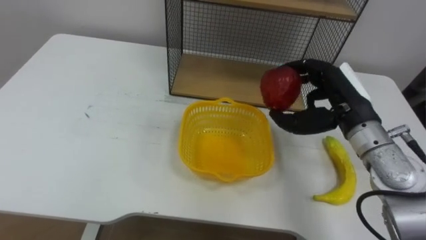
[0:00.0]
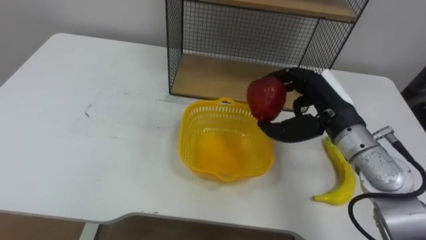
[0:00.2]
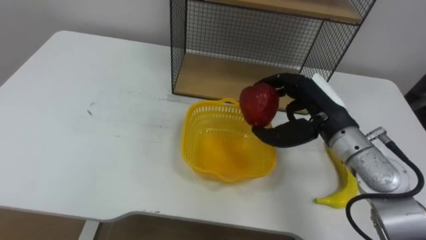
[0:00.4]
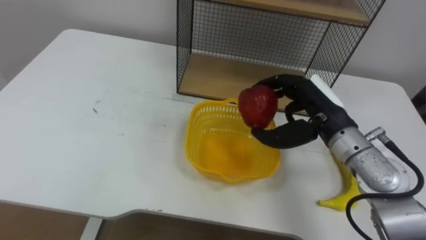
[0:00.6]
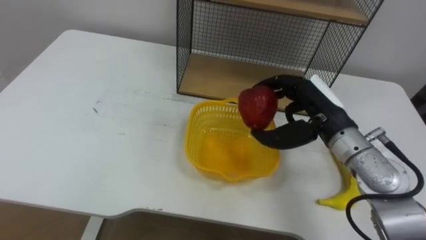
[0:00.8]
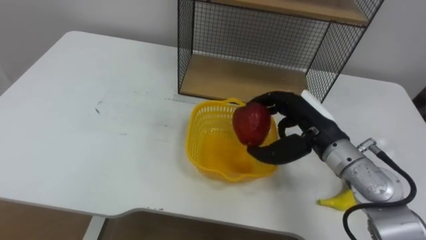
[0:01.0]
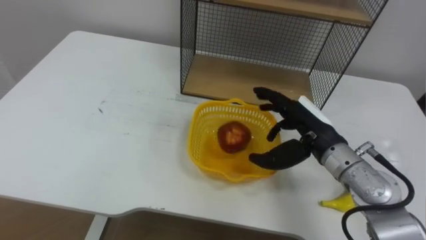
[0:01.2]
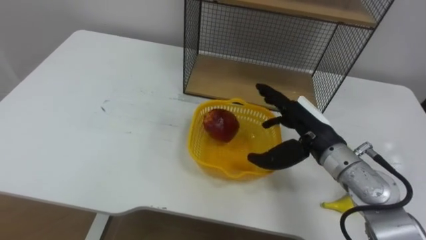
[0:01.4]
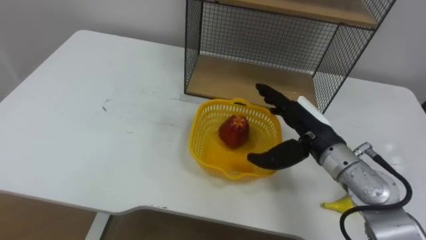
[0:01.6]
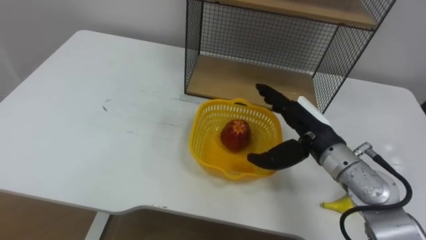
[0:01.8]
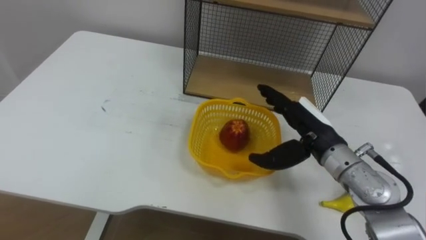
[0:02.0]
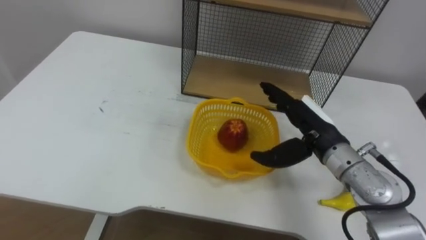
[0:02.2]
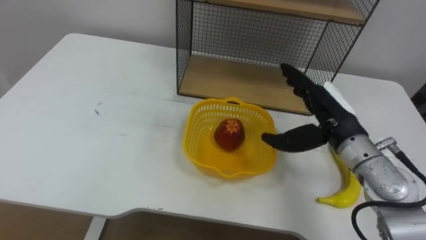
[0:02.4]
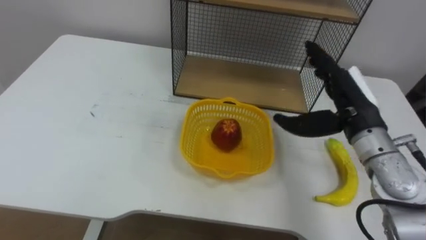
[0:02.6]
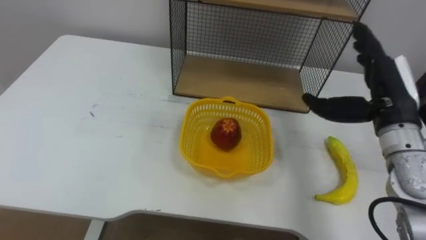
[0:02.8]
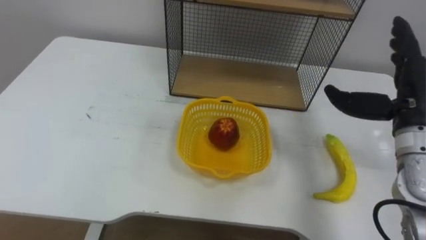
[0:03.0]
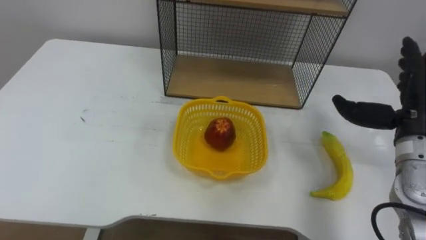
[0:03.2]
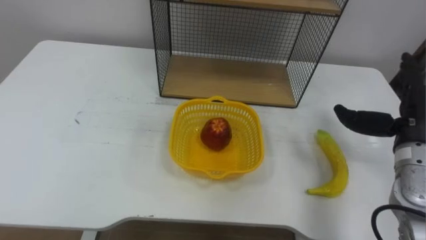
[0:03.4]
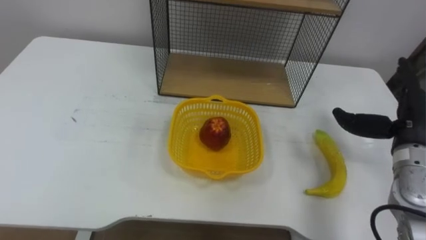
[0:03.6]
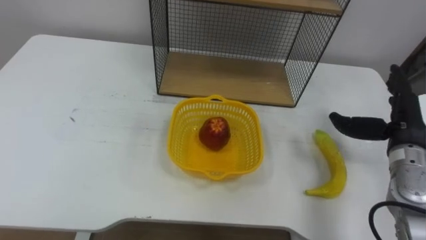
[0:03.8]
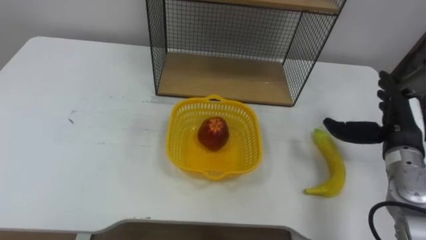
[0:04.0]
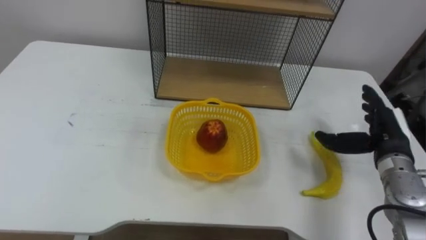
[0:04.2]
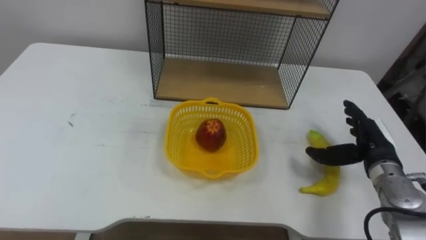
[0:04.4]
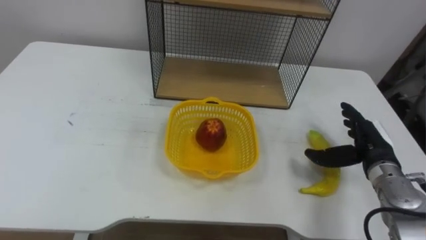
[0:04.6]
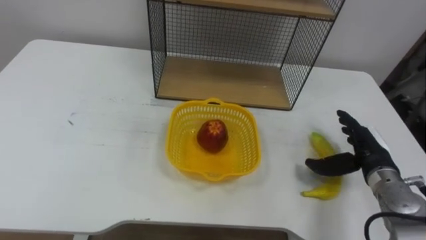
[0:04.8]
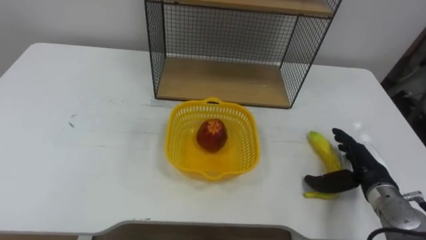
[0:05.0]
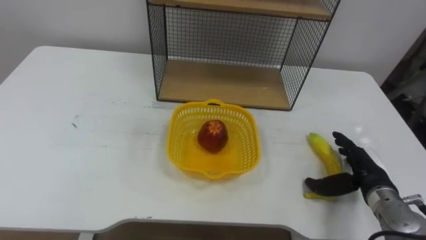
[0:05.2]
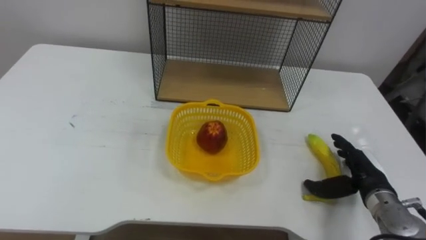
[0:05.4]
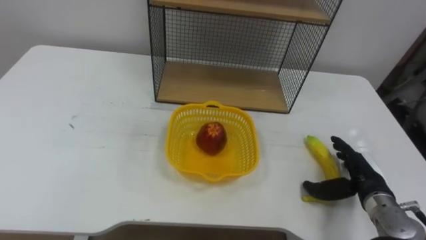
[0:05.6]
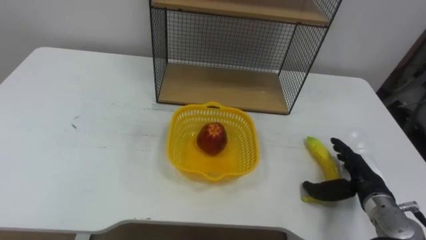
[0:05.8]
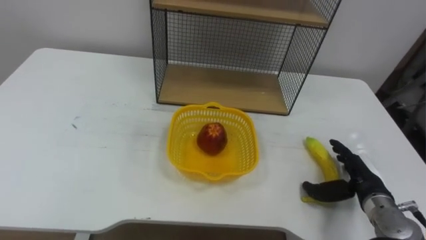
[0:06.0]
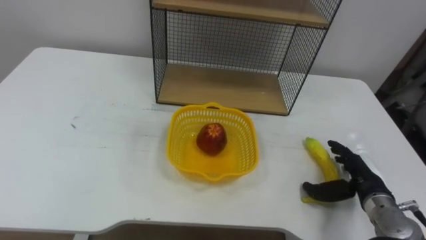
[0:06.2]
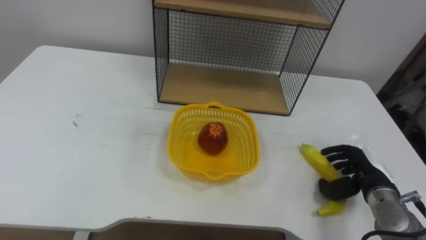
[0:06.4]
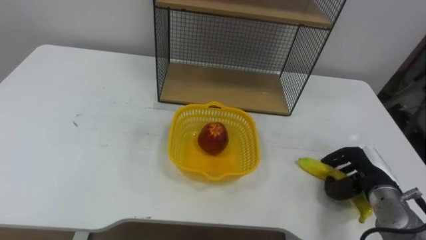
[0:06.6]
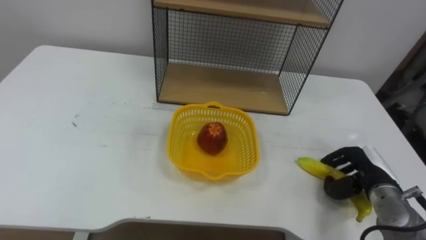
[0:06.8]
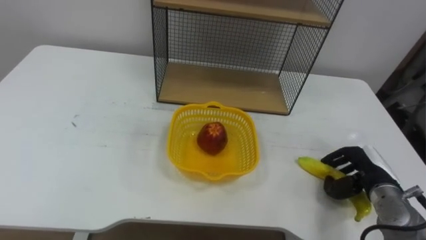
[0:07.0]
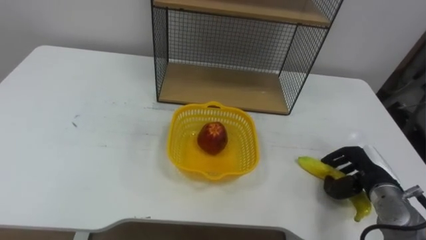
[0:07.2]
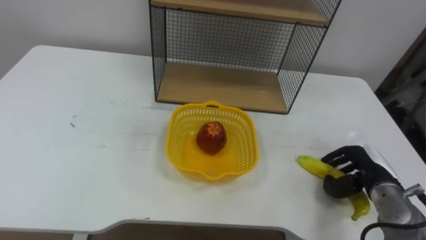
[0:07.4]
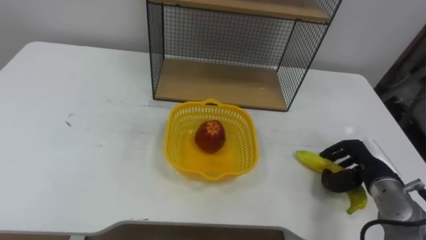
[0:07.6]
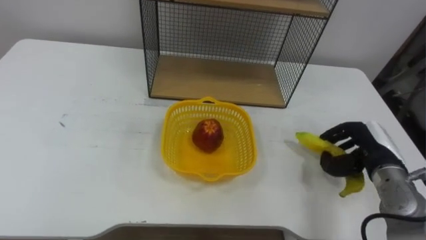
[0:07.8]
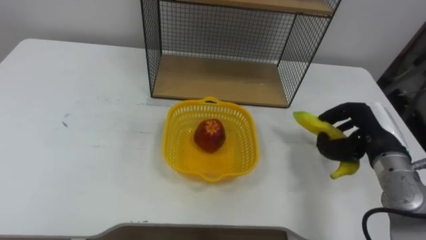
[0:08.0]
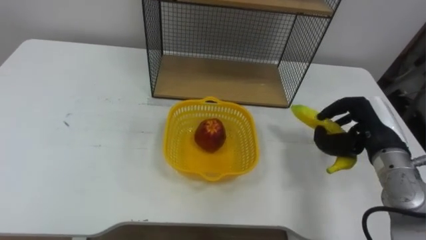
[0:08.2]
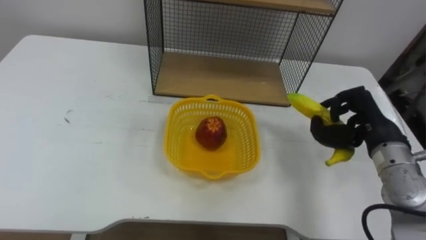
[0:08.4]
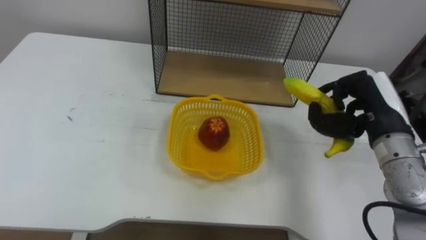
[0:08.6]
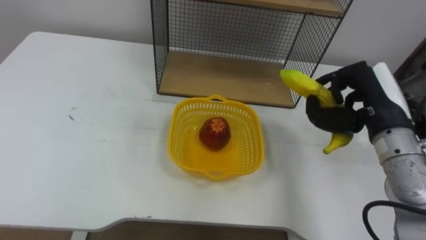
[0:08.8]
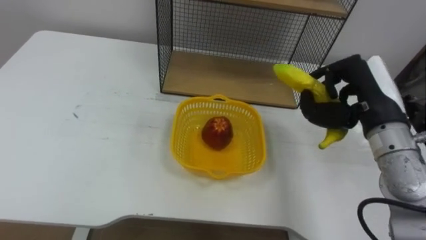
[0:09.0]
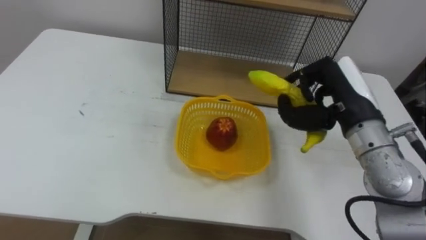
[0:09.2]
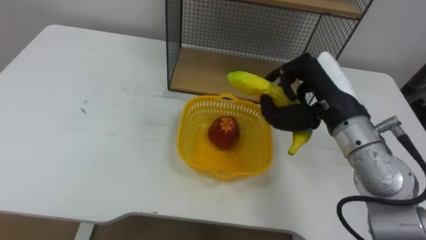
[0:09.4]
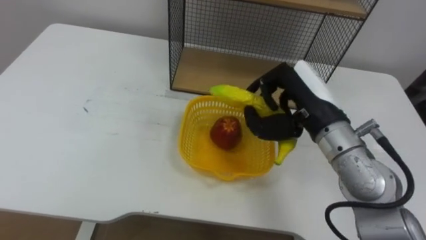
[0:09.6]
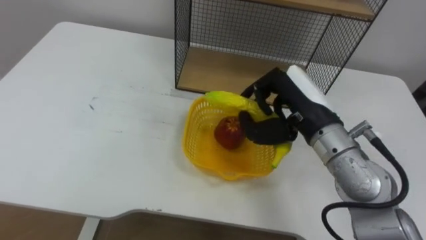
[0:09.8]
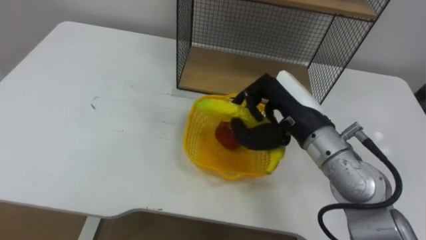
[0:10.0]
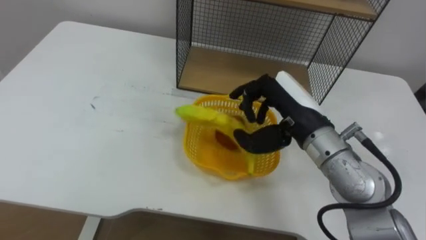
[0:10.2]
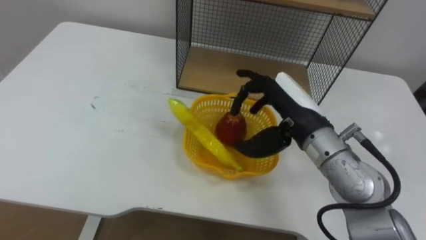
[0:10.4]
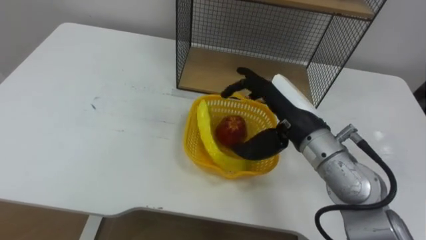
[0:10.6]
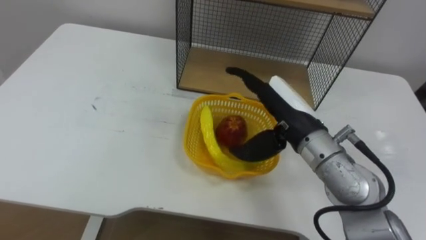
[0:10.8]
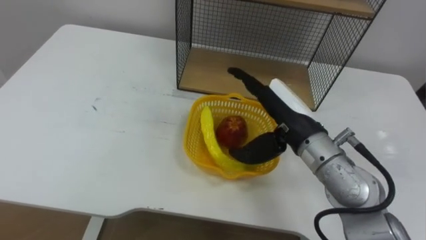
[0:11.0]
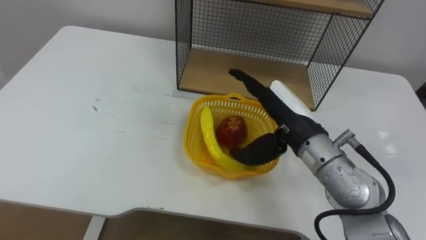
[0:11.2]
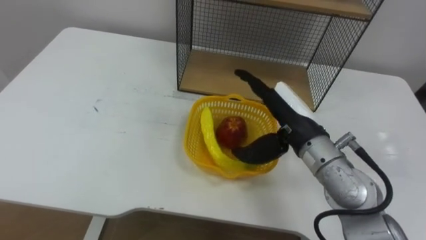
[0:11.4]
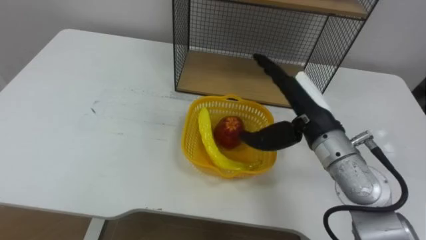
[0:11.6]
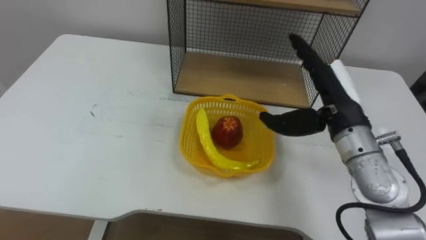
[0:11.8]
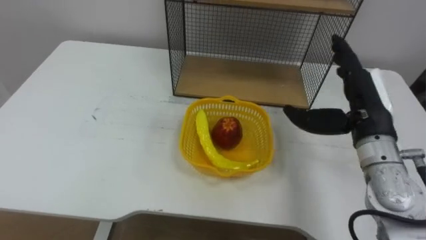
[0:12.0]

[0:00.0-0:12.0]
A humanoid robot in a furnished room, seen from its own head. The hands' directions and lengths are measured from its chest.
Task of the whole recording: Put the fruit on the table into the basket, then place the basket on the shelf.
0:00.0 to 0:01.6: The right hand moves approximately 5 cm, and opens.
0:01.6 to 0:03.0: The right hand goes approximately 15 cm to the right and upward.
0:03.0 to 0:04.4: The right hand heads downward, covering about 15 cm.
0:04.4 to 0:06.0: The right hand shifts some 5 cm downward.
0:06.0 to 0:07.6: The right hand closes up.
0:07.6 to 0:09.0: The right hand moves upward, about 15 cm.
0:09.0 to 0:10.4: The right hand moves to the left, approximately 10 cm, and opens.
0:10.4 to 0:12.0: The right hand heads to the right, covering about 10 cm.

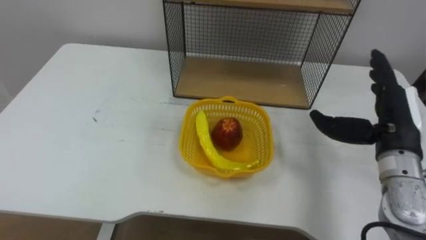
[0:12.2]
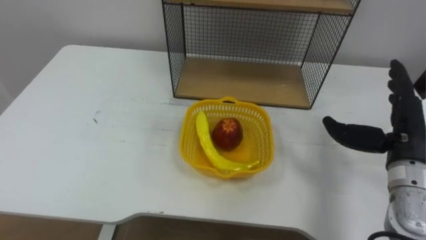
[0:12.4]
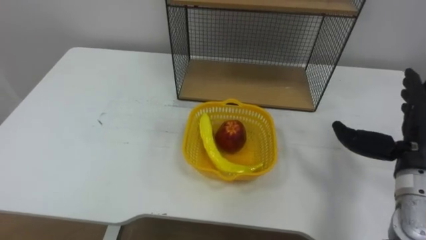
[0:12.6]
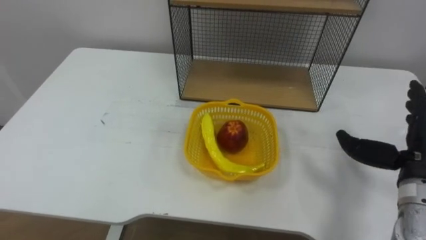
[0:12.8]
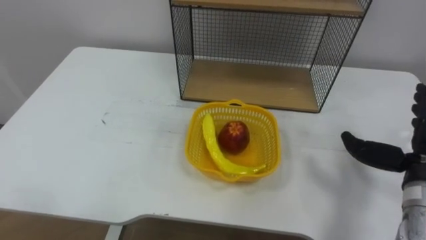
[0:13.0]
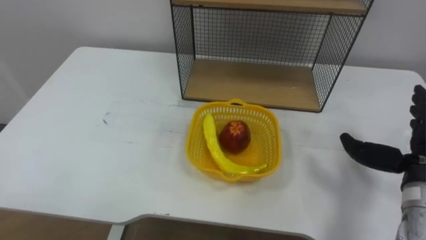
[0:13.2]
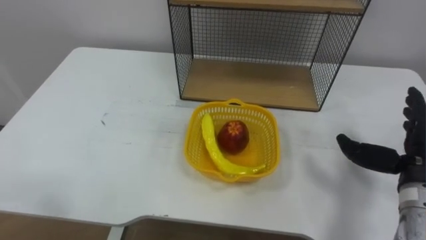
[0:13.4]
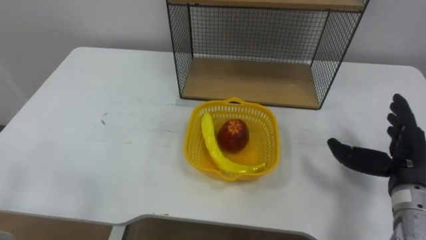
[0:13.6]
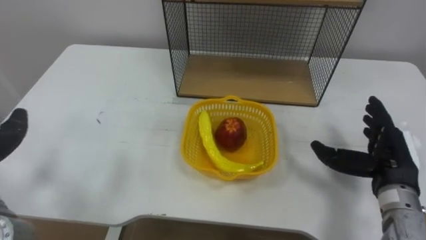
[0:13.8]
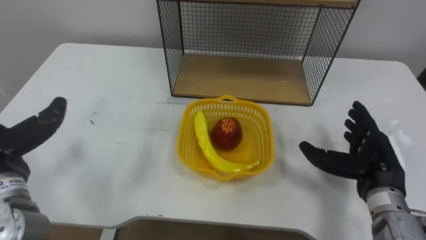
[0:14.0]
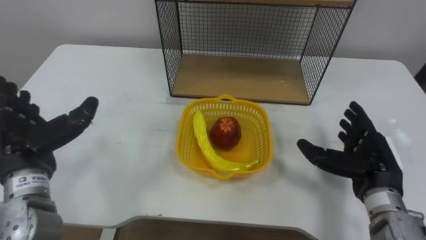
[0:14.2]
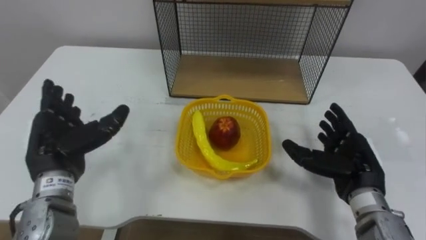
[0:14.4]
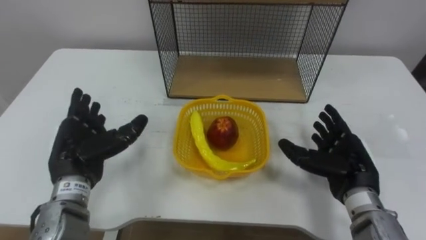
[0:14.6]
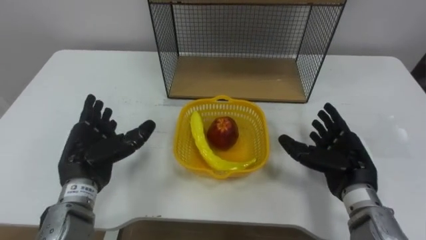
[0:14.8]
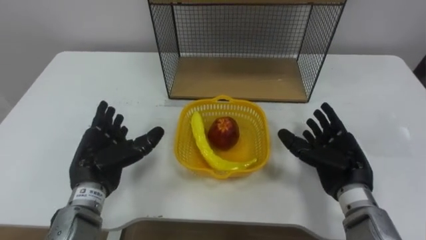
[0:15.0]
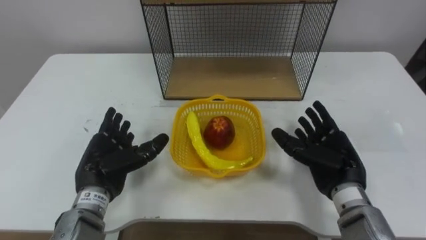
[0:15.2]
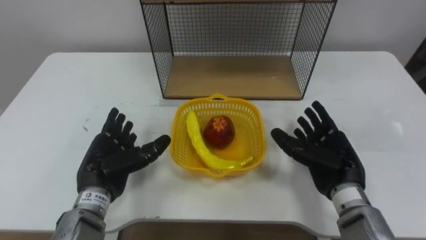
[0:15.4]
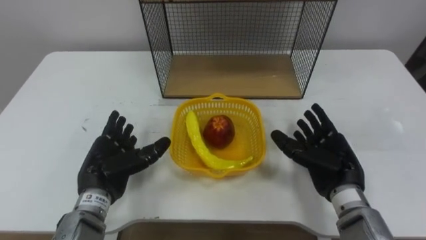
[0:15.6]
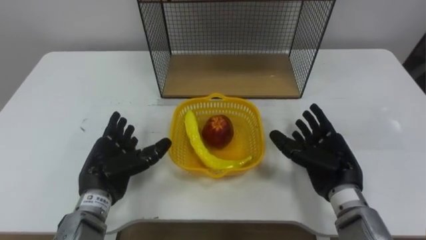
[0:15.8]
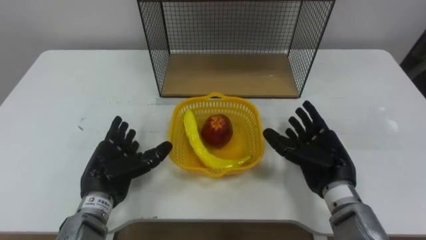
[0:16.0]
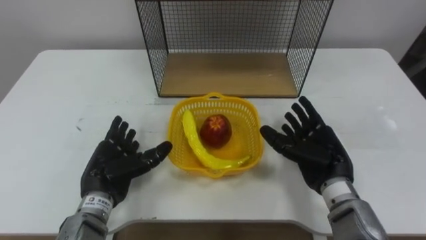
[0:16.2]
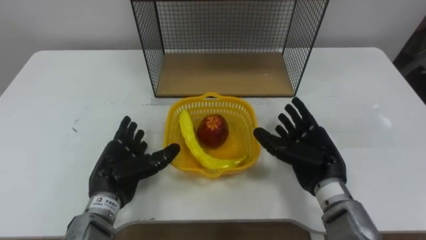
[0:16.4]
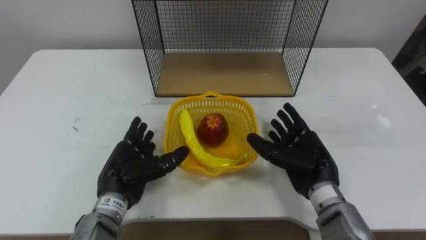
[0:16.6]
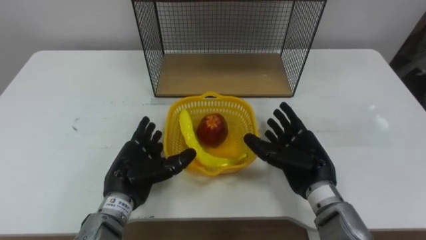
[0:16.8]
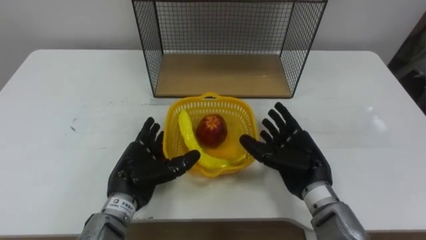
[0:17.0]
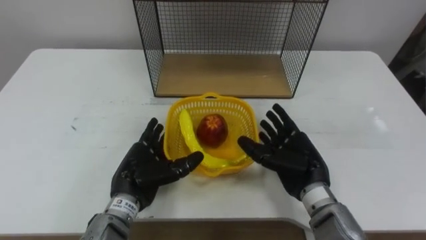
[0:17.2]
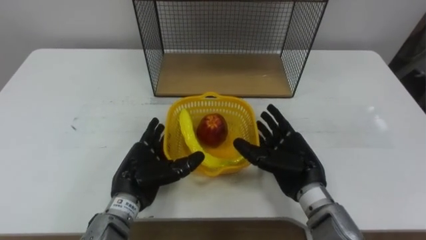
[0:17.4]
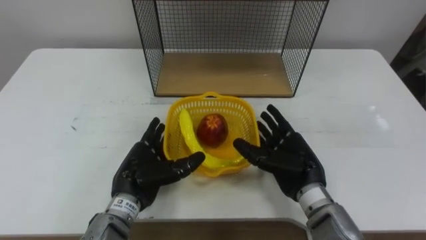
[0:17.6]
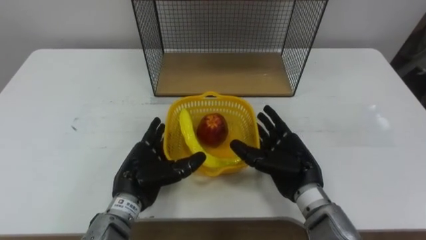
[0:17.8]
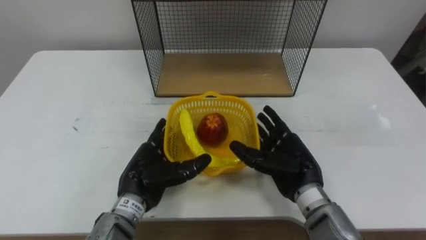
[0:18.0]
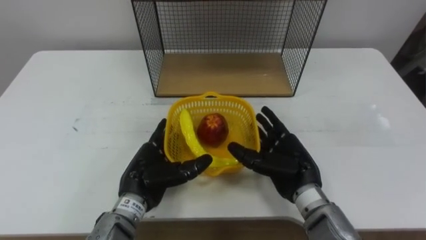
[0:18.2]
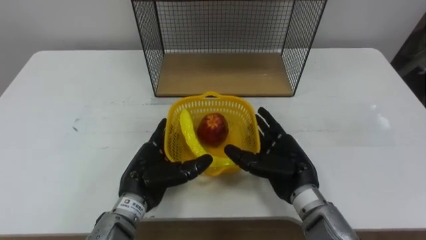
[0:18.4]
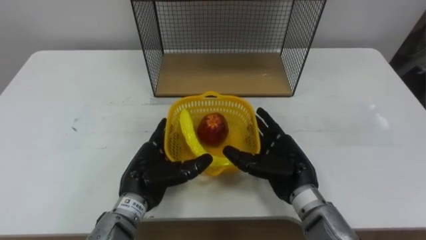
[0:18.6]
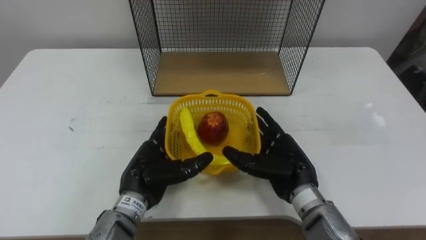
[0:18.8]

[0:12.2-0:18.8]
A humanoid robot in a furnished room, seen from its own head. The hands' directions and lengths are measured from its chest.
Task of the whole recording: Put the fruit on the table into the basket, then place the basket on the shelf.
0:13.8 to 0:15.4: The right hand travels to the left by some 10 cm.
0:15.4 to 0:17.2: The left hand heads to the right, covering some 5 cm, while the right hand moves to the left, approximately 5 cm.
